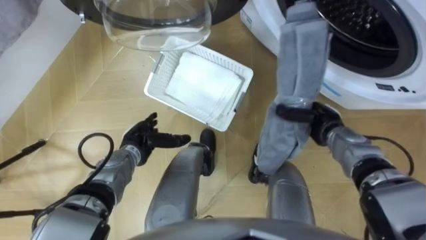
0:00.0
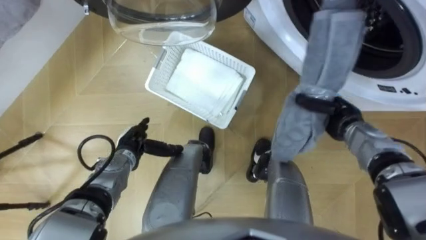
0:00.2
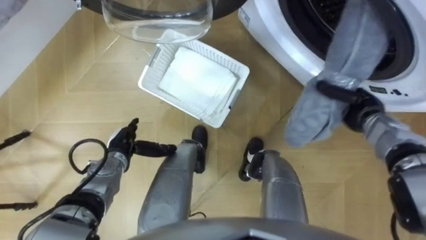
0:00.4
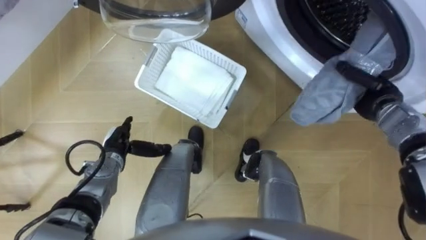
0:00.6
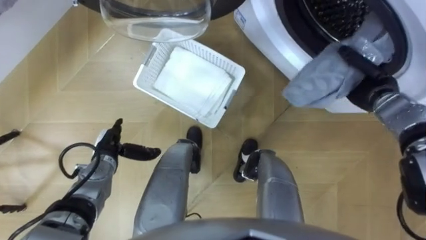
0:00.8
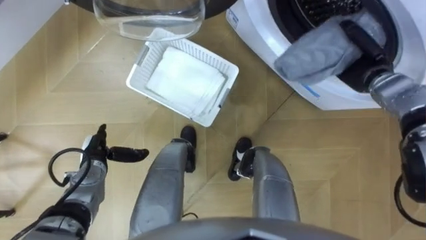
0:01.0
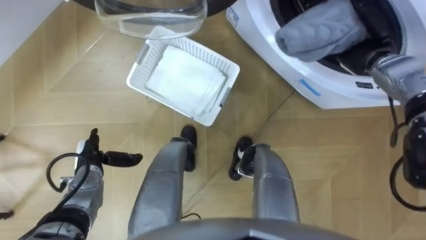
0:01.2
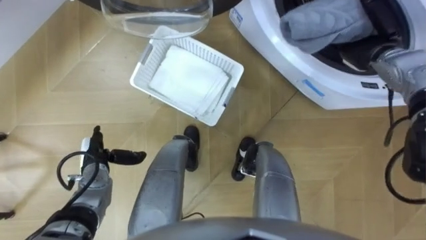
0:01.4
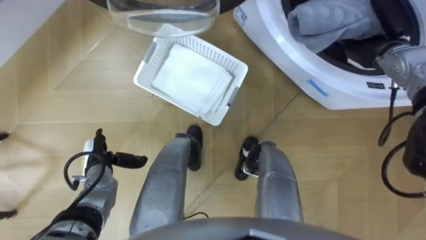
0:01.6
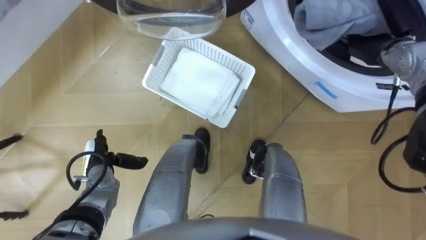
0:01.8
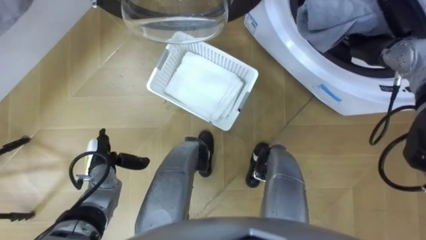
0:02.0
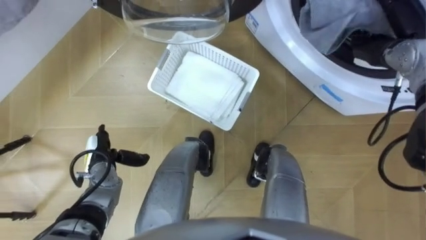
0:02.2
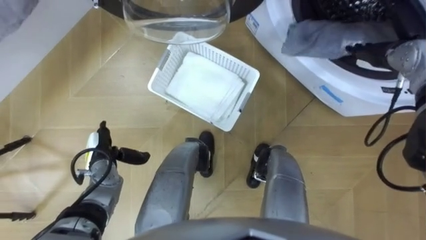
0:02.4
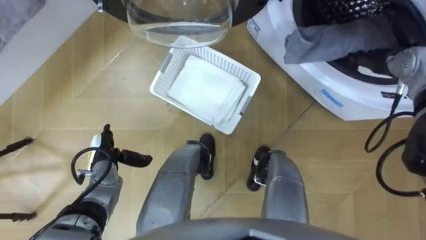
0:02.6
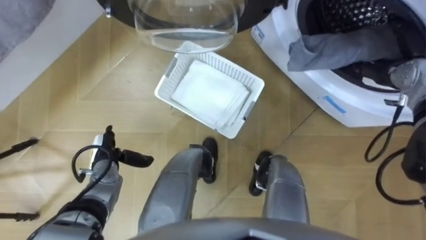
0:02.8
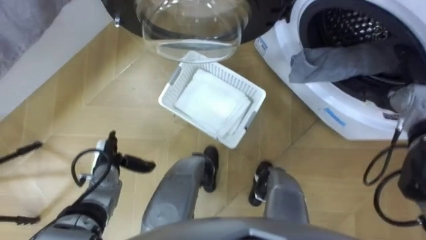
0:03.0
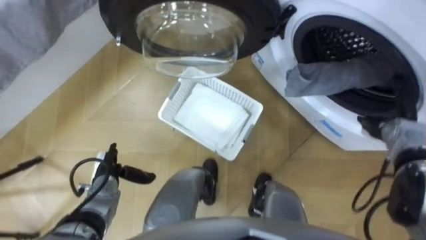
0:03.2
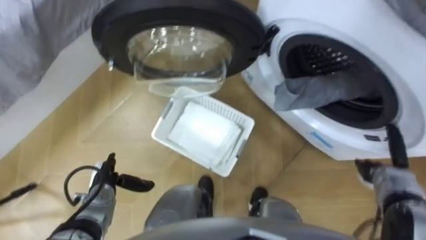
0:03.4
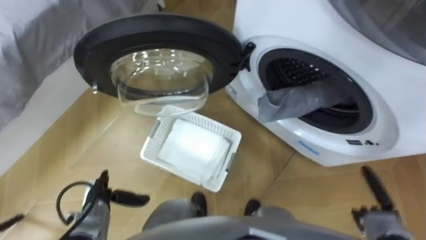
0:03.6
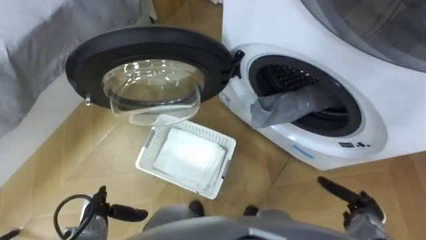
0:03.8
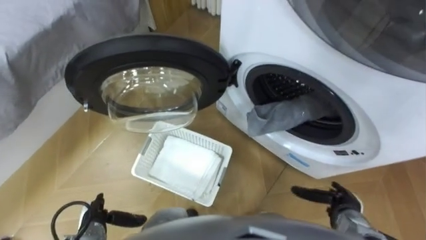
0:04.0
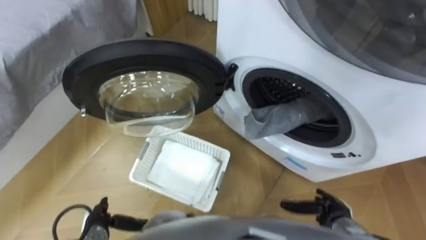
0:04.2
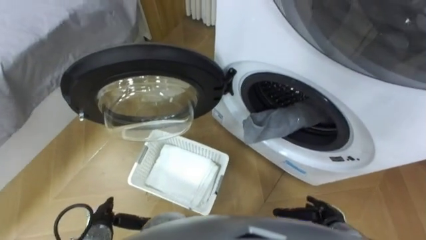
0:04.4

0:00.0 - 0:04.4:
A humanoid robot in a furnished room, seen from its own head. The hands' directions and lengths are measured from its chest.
Task of the whole recording: Take the towel from the basket and put it into the washing machine.
0:00.0 - 0:01.4: The left hand travels to the left by about 10 cm. The right hand is displaced upward, forward and to the right by some 20 cm.
0:01.4 - 0:03.0: The right hand moves backward, to the right and downward, some 10 cm, and opens up.
0:03.0 - 0:04.4: The left hand is displaced backward by roughly 15 cm. Meanwhile the right hand heads backward, downward and to the left, covering about 30 cm.

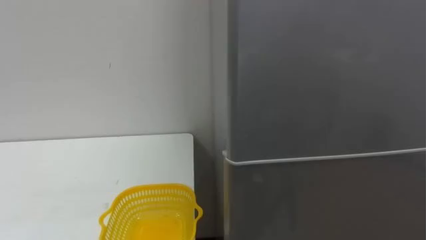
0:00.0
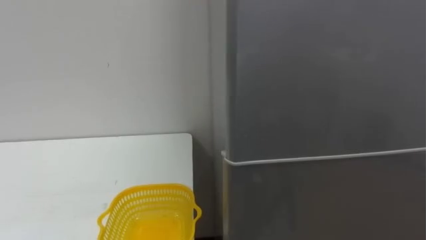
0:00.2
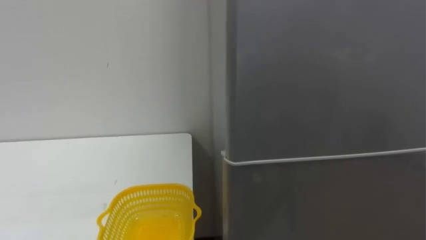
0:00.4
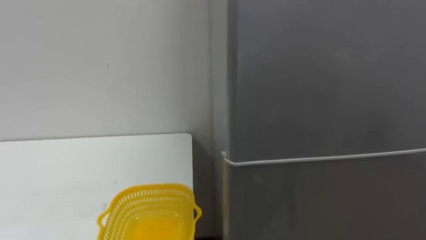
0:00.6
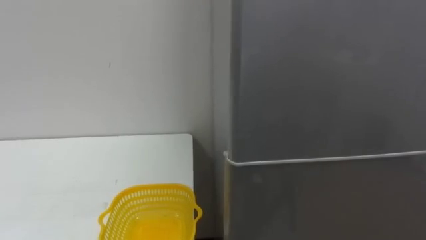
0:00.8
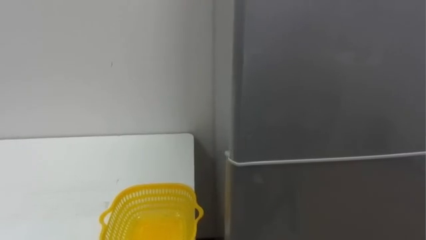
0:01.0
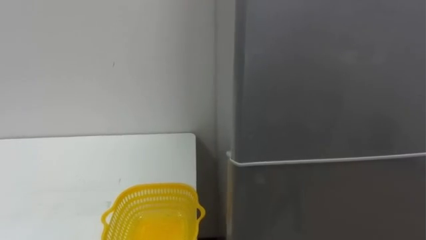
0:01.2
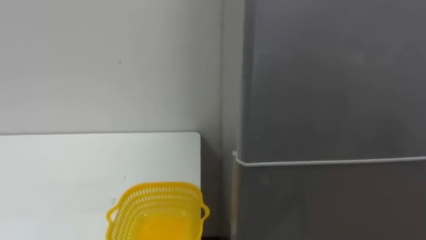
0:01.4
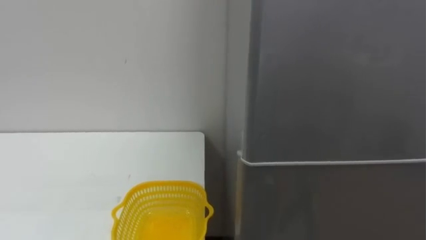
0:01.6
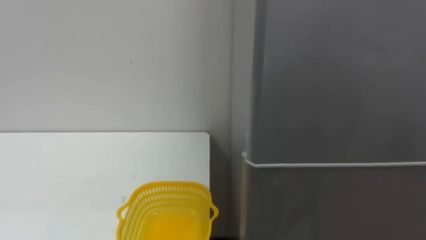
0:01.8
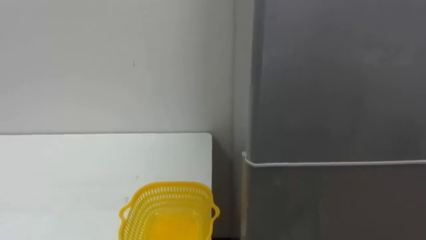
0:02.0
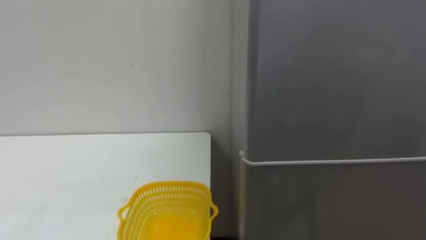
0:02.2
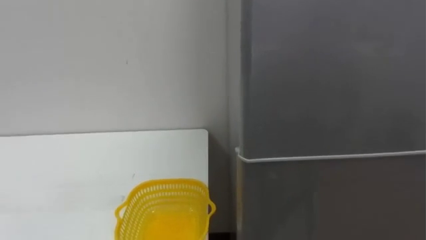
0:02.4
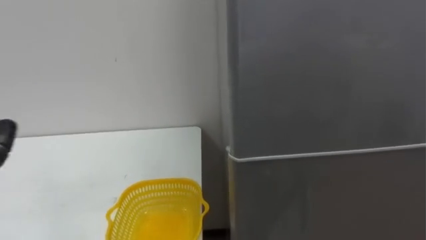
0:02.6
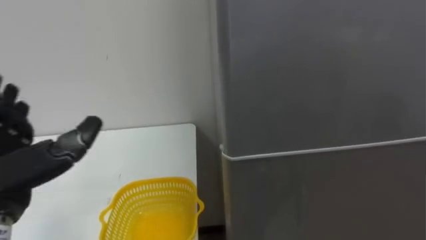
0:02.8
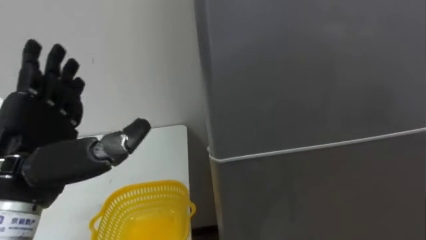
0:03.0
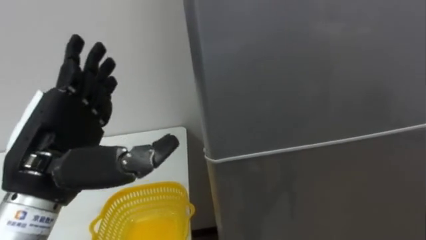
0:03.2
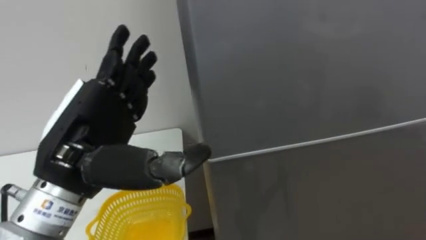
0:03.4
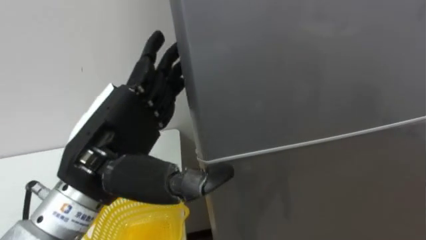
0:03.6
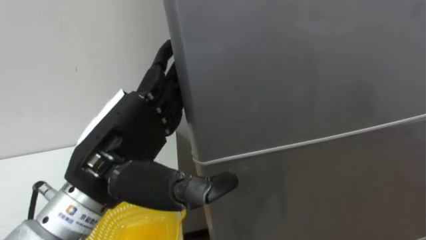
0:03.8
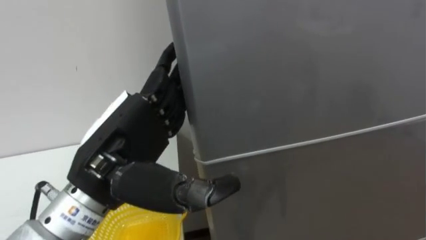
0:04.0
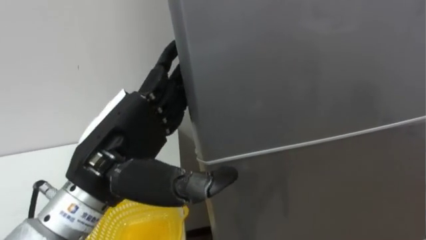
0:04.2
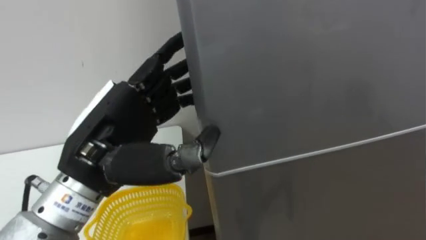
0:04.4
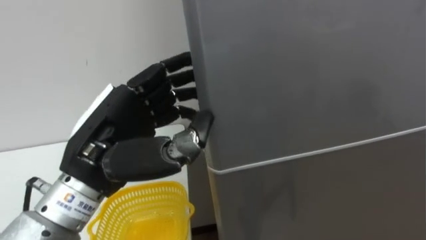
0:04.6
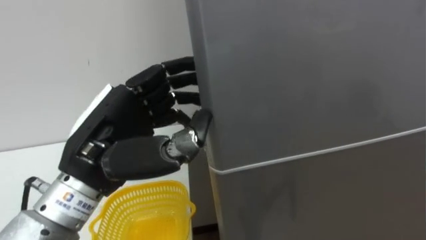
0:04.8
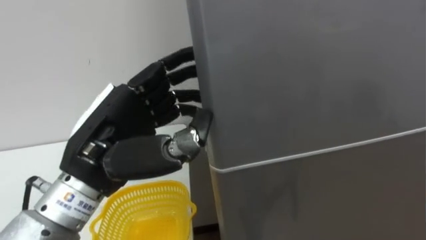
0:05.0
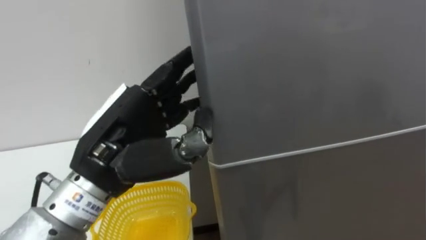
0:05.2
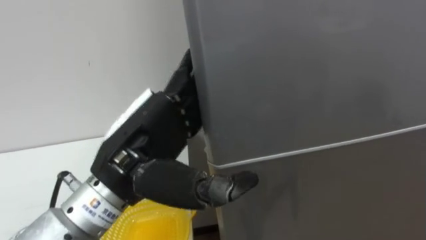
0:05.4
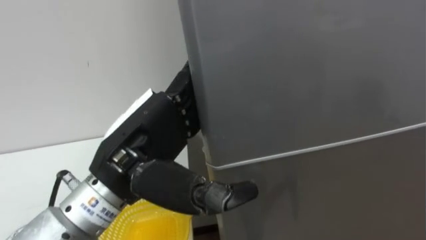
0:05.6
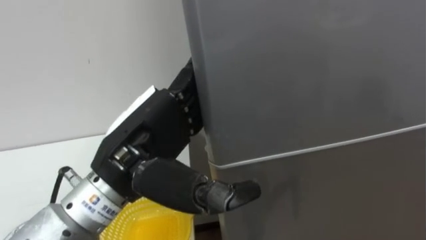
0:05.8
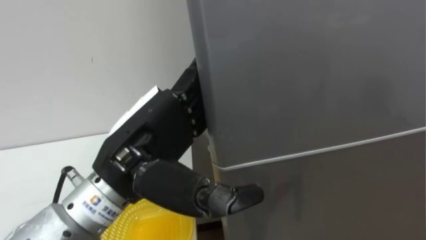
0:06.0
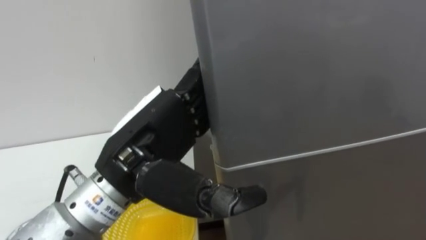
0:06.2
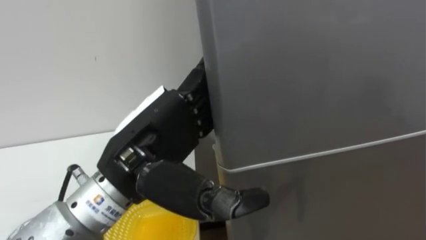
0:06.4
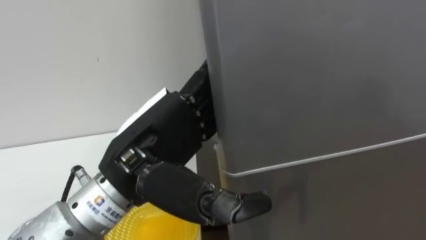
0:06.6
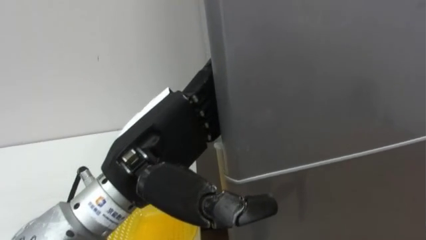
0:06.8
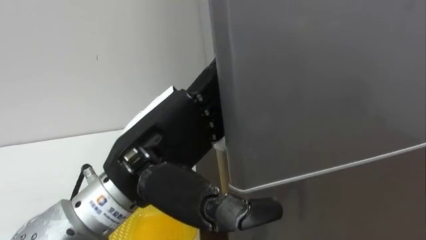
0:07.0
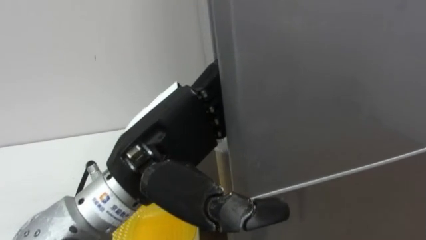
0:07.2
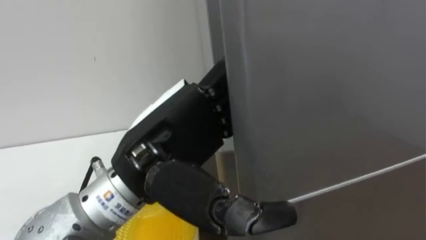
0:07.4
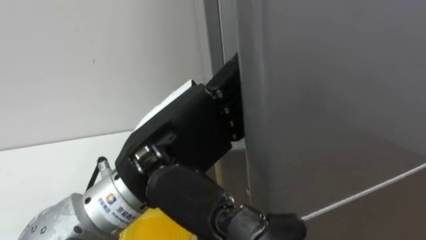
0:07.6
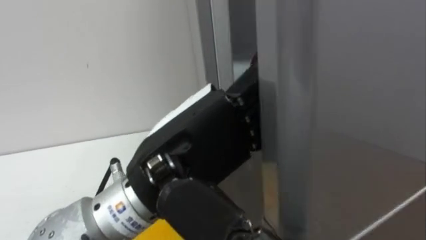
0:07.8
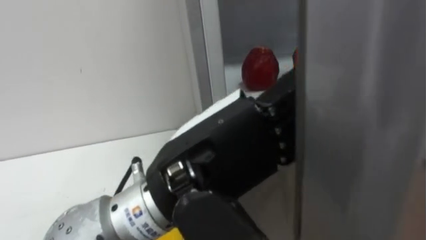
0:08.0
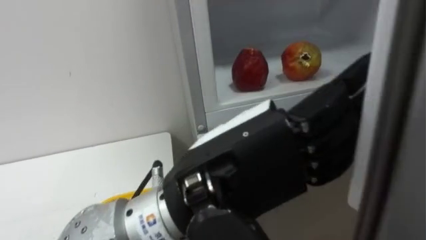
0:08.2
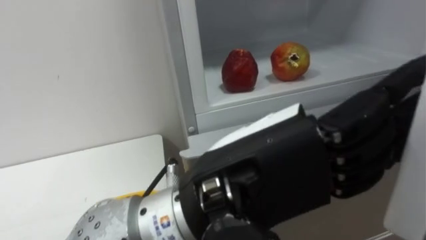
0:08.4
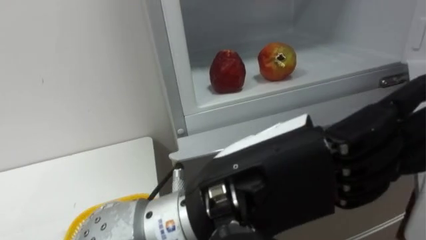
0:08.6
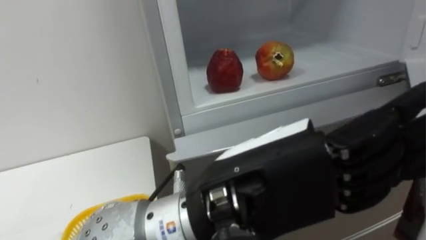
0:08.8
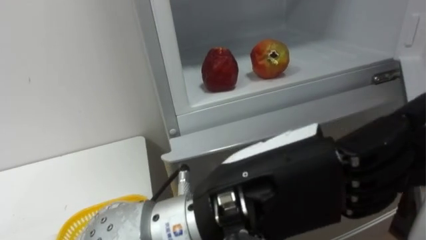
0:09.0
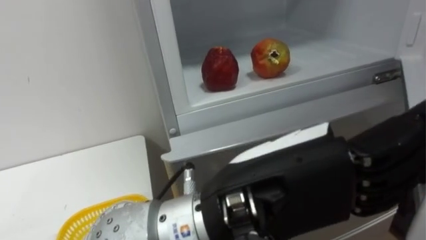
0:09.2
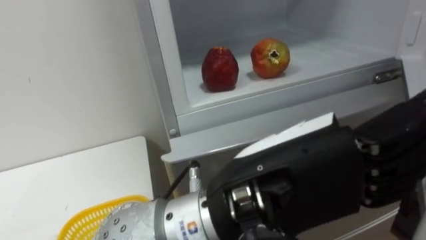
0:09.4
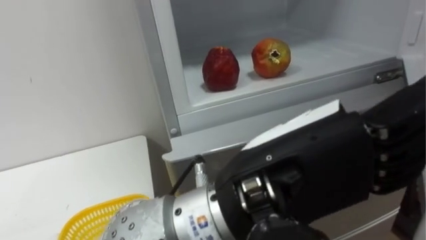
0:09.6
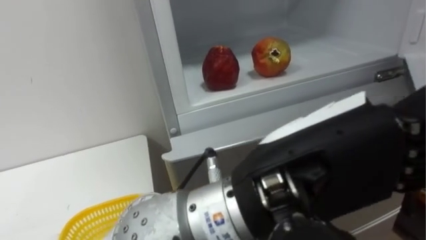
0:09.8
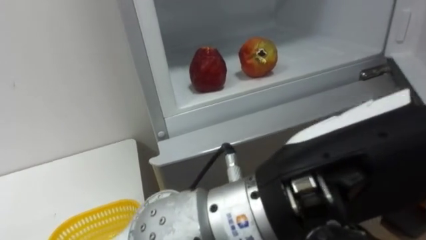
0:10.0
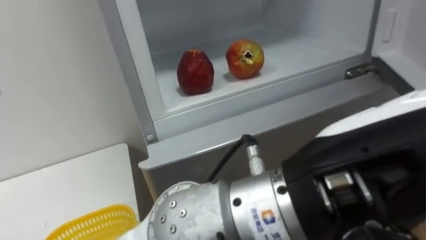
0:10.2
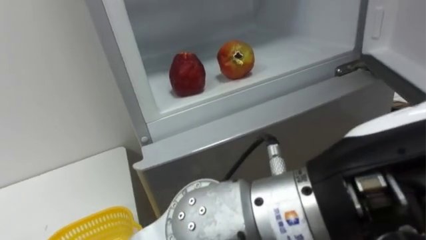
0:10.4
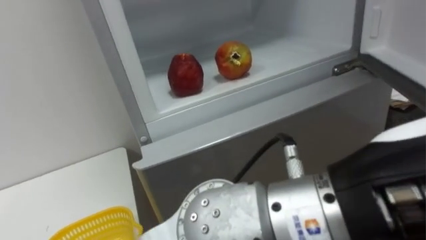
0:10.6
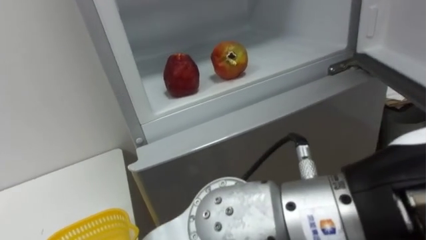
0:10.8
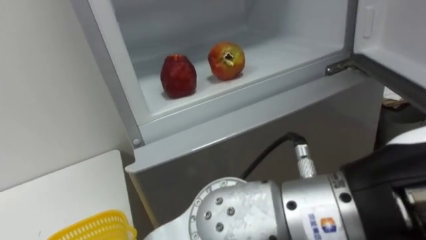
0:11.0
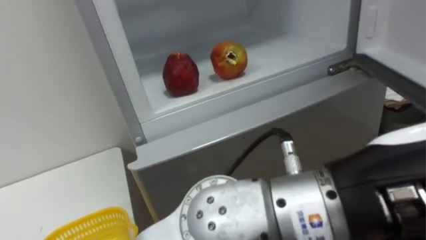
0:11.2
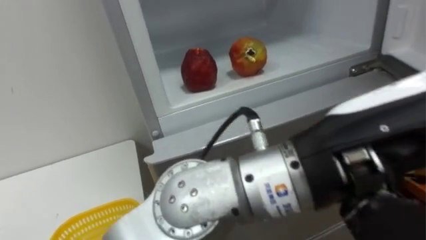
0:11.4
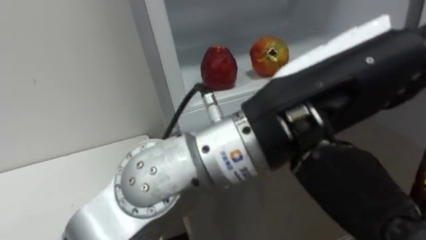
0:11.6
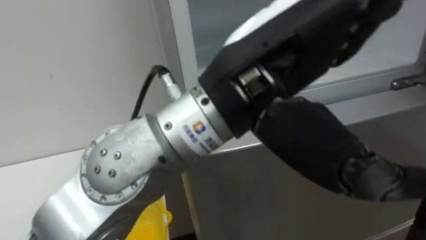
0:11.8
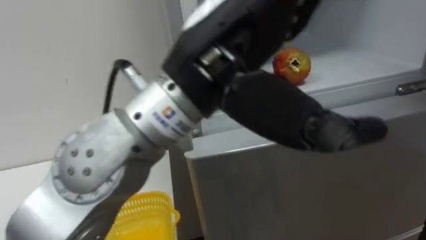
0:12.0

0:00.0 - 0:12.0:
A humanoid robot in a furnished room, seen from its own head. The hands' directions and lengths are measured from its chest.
Task of the whole recording: Open the refrigerator door, take out the apple and the pomegranate, place them in the fruit basket on the left, and close the refrigerator door.
0:03.0 - 0:04.4: The left hand shifts roughly 10 cm to the right.
0:07.6 - 0:09.0: The left hand travels to the right and backward by about 10 cm.
0:09.0 - 0:10.4: The left hand goes some 5 cm to the right.
0:10.4 - 0:12.0: The left hand goes about 15 cm to the left and forward.
